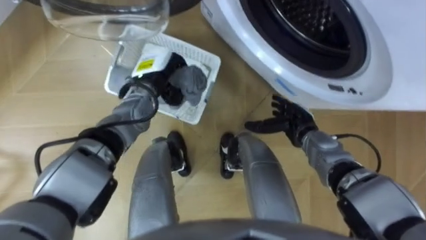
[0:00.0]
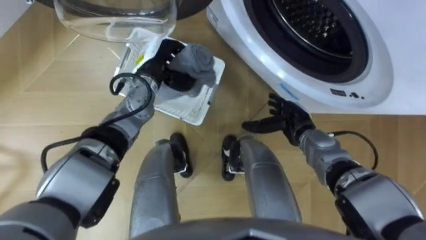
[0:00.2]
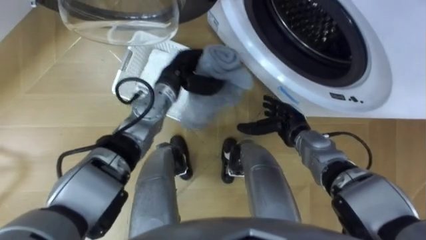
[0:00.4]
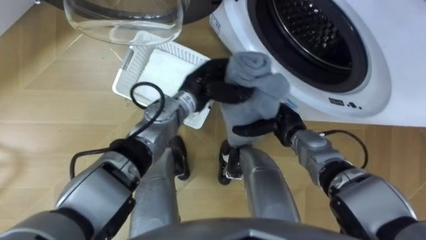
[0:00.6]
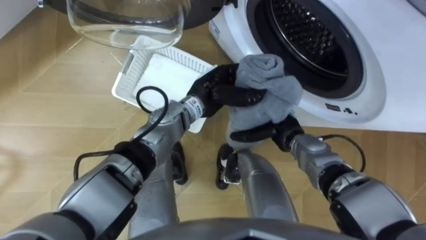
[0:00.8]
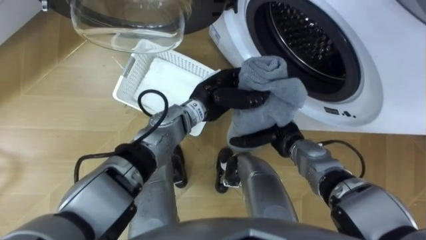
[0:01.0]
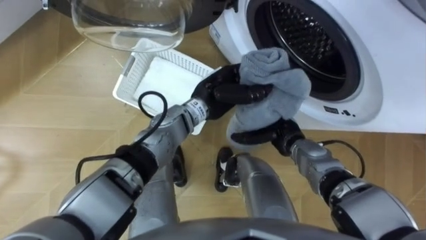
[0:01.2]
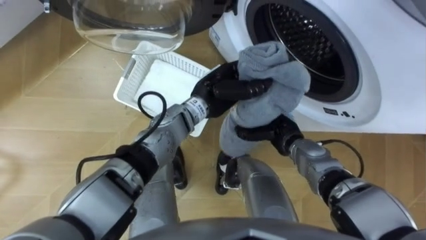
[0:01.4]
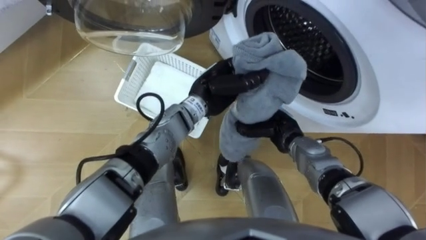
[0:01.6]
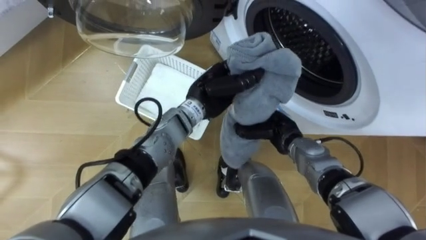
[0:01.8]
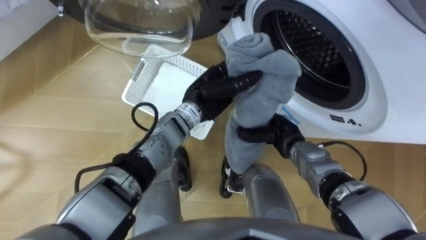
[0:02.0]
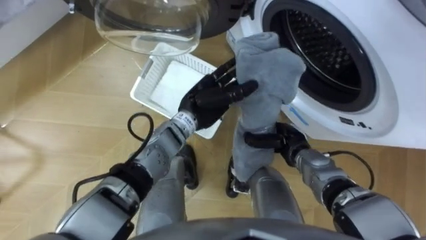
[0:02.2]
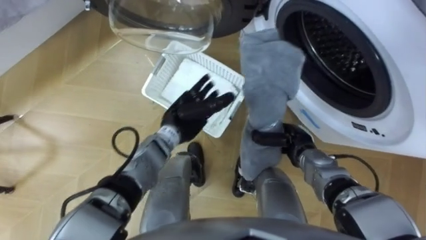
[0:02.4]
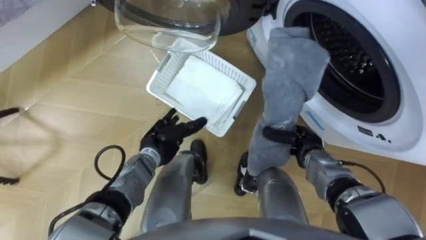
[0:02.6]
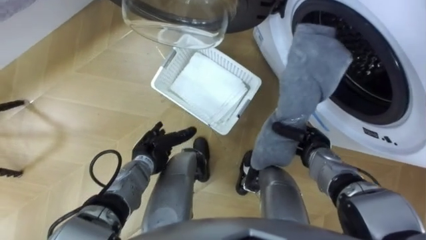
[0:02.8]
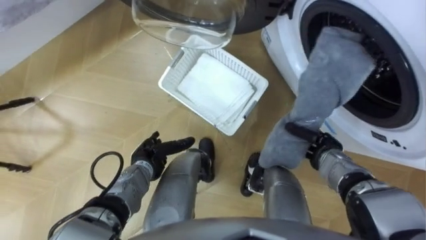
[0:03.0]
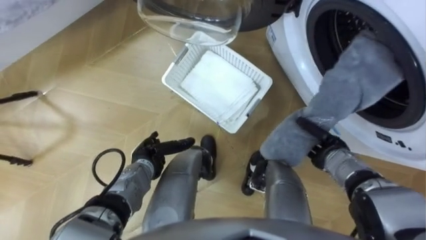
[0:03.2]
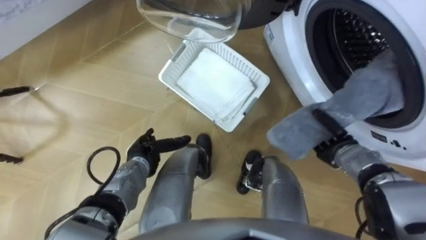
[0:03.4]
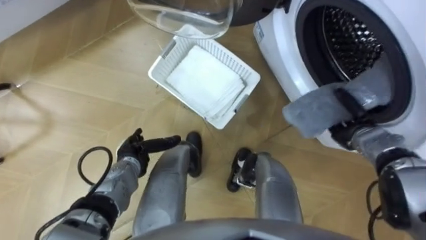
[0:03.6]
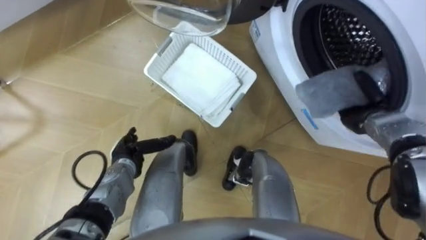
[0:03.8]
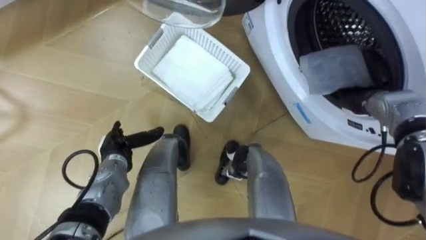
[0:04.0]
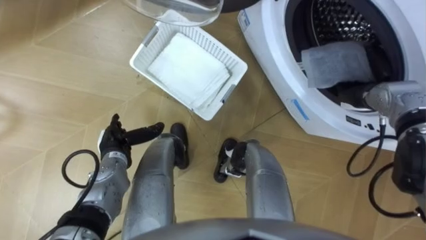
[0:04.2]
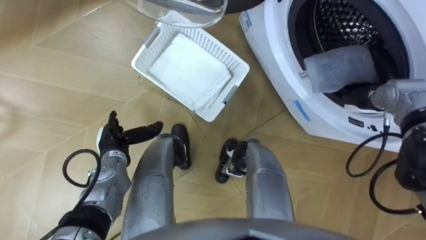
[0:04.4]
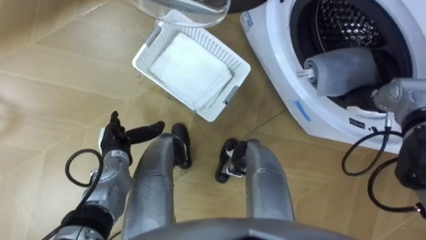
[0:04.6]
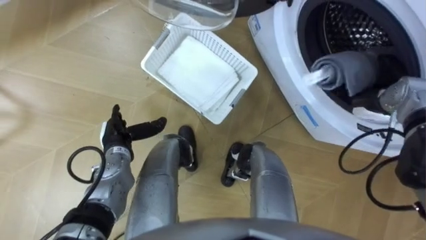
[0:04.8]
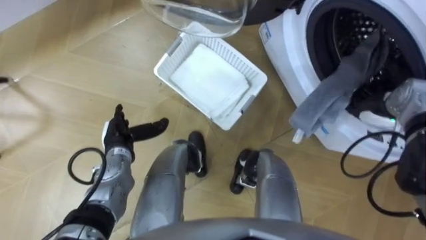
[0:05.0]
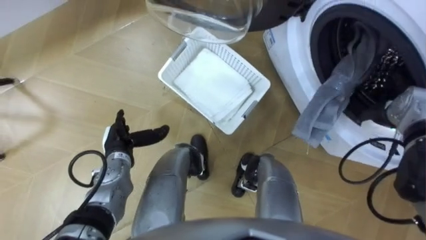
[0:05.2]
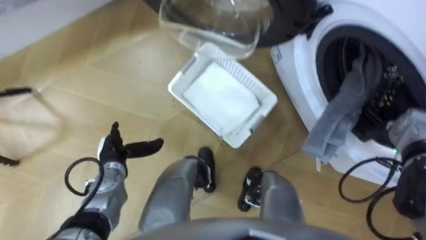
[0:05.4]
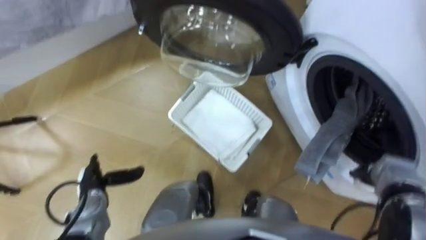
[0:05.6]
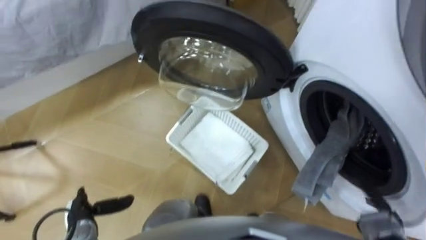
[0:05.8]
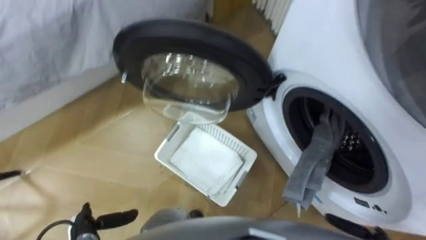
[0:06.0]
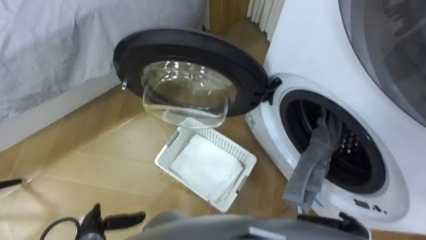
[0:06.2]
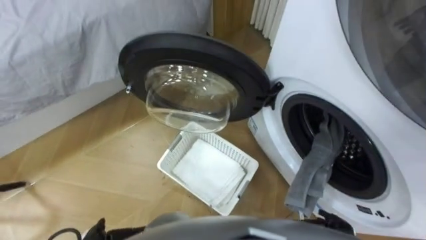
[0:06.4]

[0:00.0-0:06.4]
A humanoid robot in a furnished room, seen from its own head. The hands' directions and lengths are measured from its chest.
Task of the whole recording: Take the towel from the basket and put it into the washing machine.
0:00.0 to 0:01.6: The right hand closes its fingers, while the left hand travels to the right by about 15 cm.
0:01.6 to 0:03.2: The left hand travels to the left, downward and backward by approximately 25 cm, and opens up. The right hand is displaced to the right by some 10 cm.
0:03.2 to 0:04.8: The left hand is displaced to the left and upward by approximately 10 cm. The right hand travels upward, to the right and forward by approximately 15 cm, and opens.

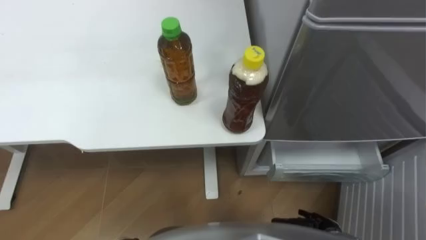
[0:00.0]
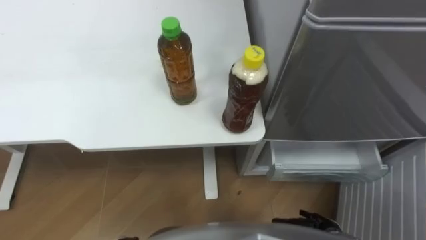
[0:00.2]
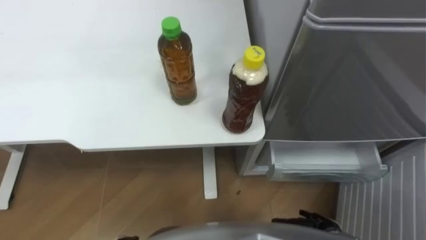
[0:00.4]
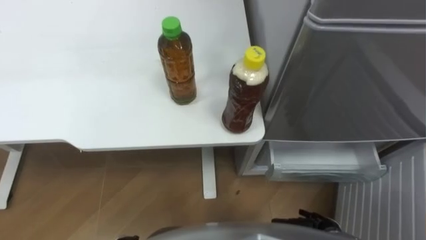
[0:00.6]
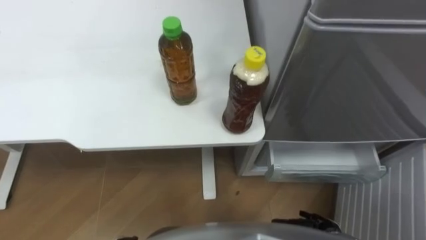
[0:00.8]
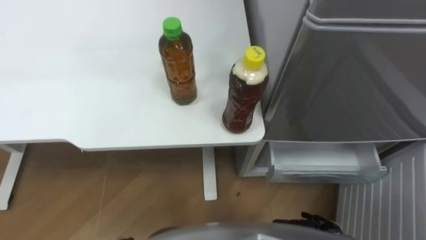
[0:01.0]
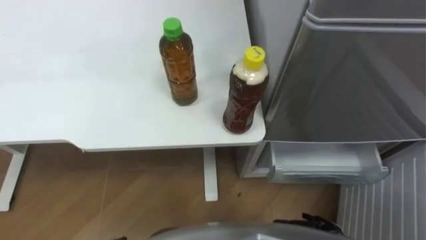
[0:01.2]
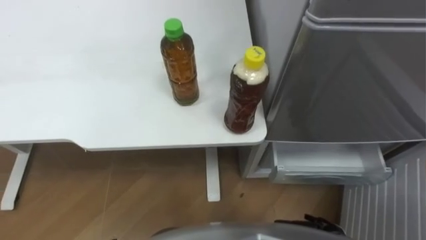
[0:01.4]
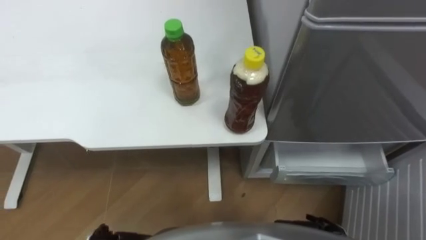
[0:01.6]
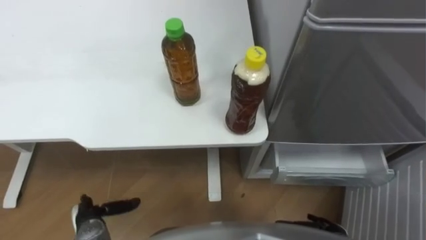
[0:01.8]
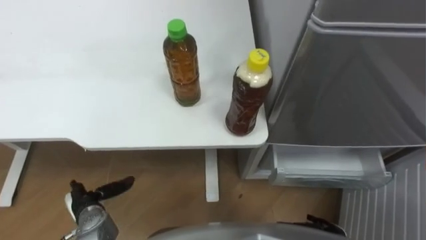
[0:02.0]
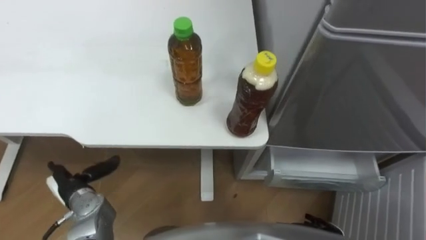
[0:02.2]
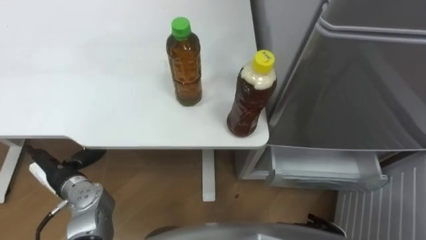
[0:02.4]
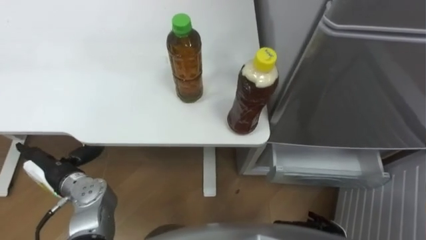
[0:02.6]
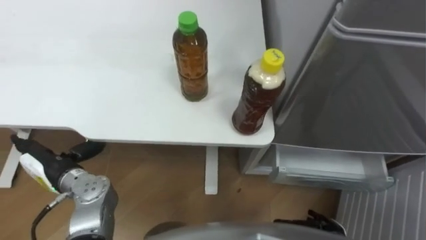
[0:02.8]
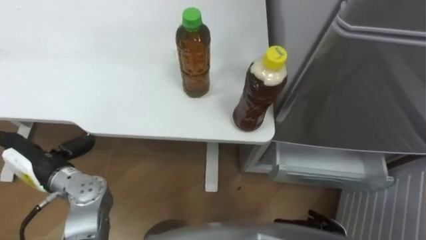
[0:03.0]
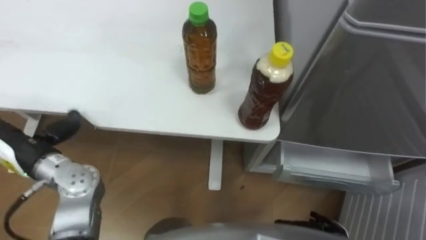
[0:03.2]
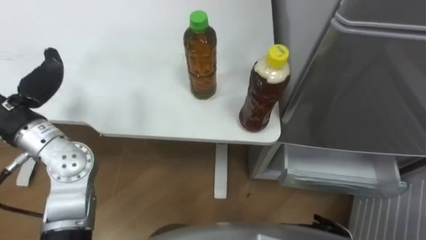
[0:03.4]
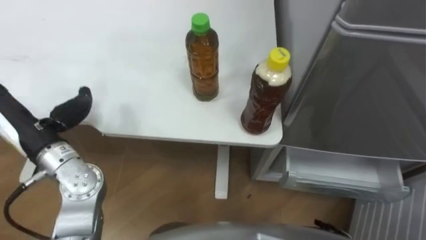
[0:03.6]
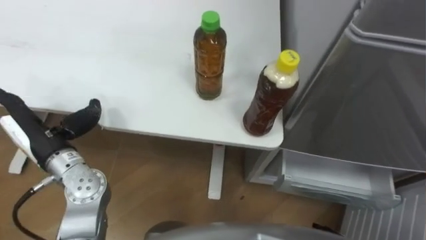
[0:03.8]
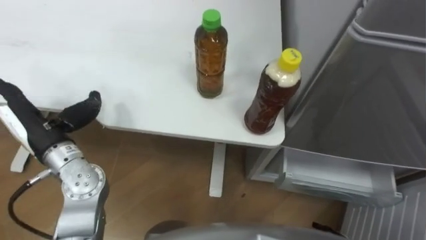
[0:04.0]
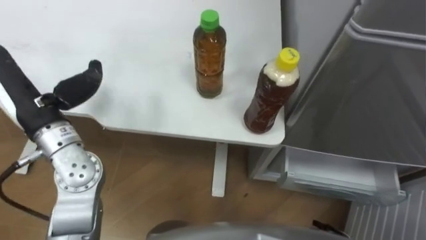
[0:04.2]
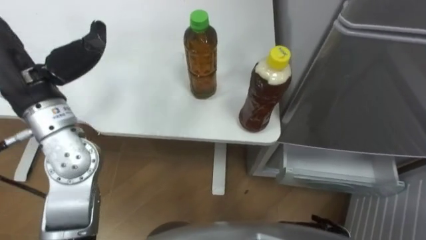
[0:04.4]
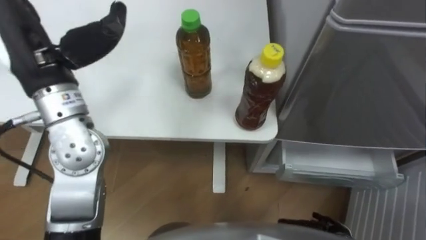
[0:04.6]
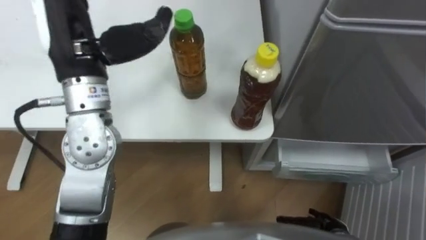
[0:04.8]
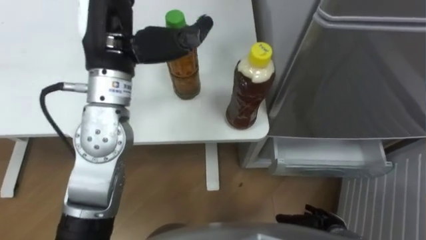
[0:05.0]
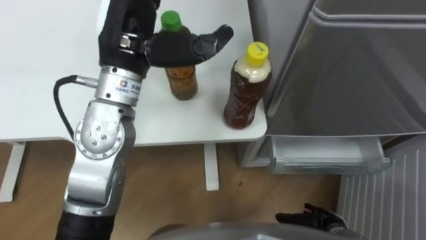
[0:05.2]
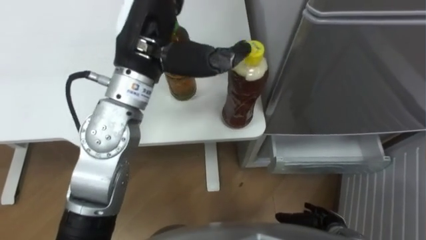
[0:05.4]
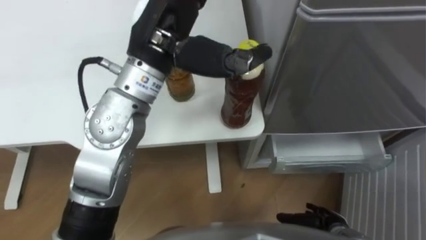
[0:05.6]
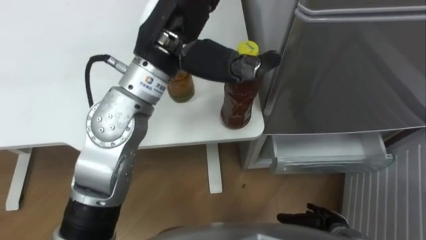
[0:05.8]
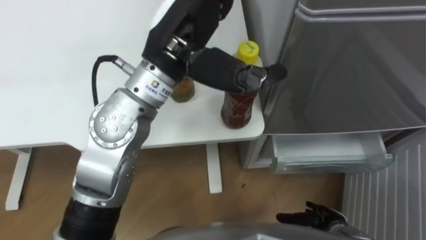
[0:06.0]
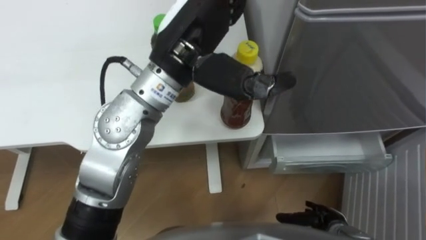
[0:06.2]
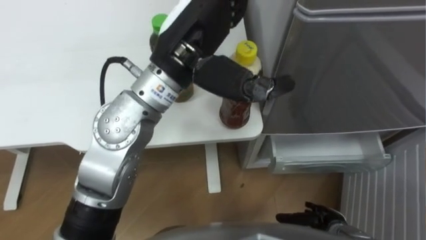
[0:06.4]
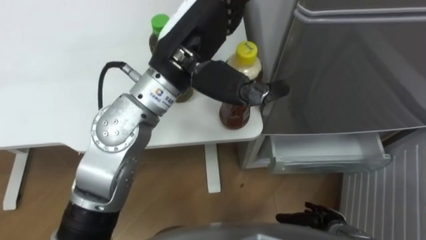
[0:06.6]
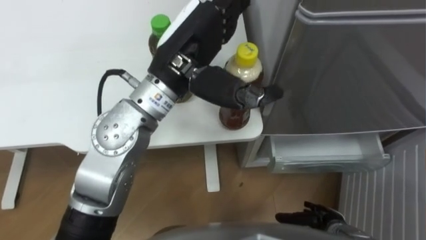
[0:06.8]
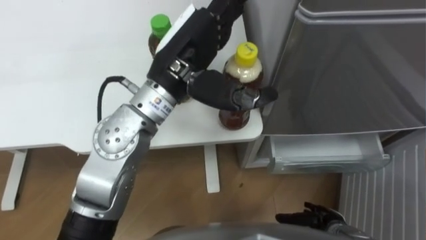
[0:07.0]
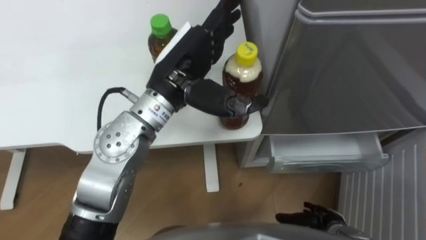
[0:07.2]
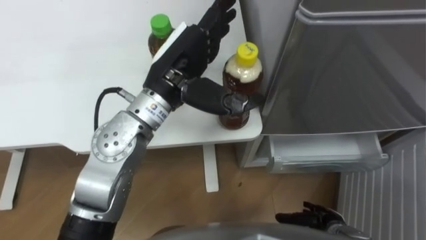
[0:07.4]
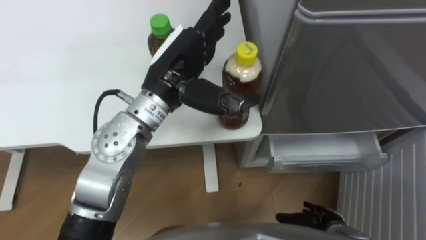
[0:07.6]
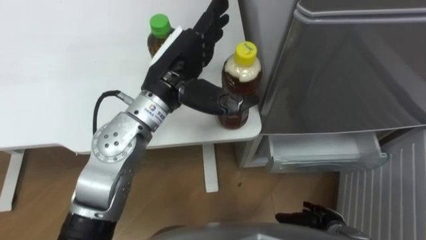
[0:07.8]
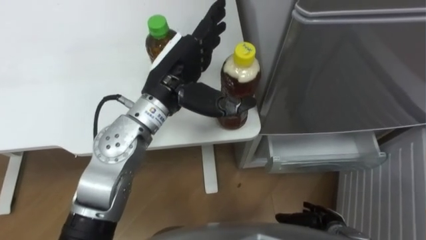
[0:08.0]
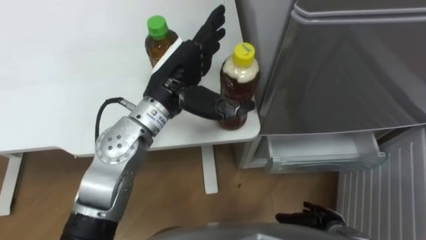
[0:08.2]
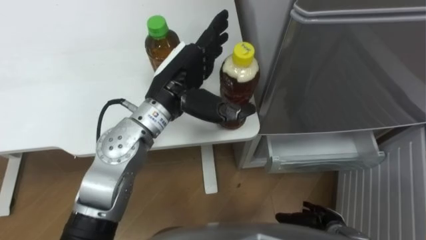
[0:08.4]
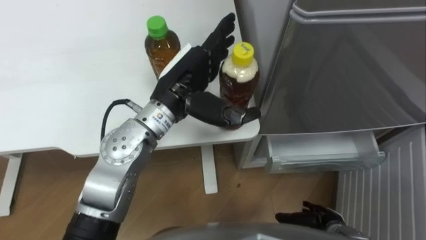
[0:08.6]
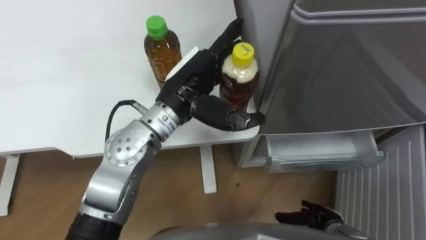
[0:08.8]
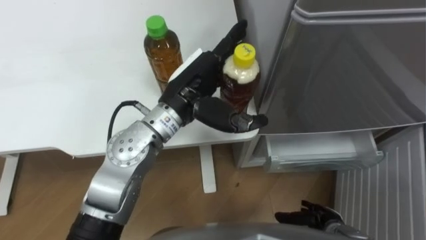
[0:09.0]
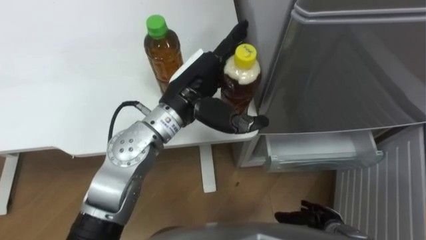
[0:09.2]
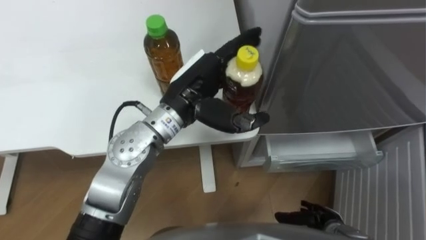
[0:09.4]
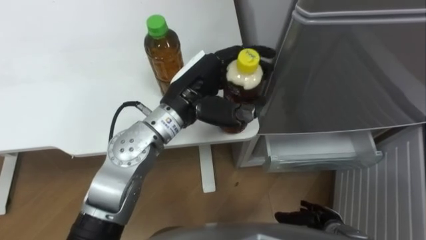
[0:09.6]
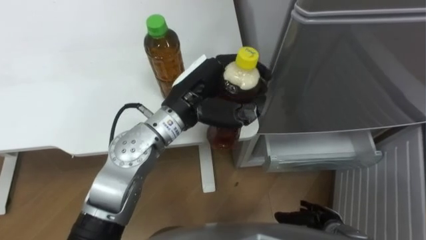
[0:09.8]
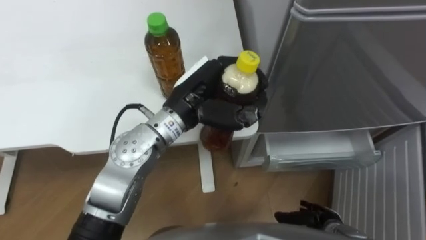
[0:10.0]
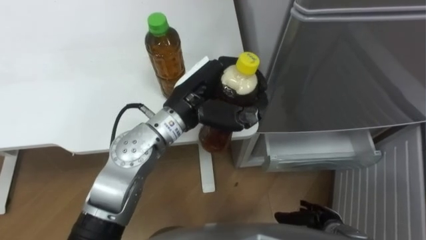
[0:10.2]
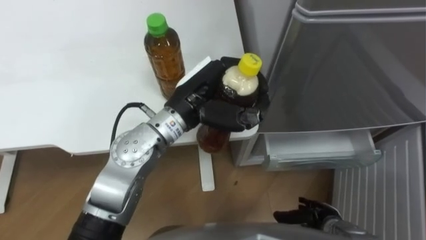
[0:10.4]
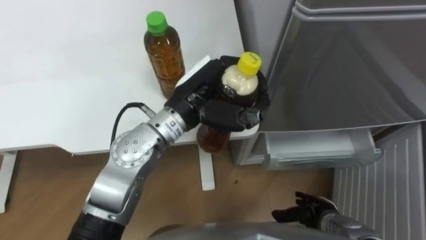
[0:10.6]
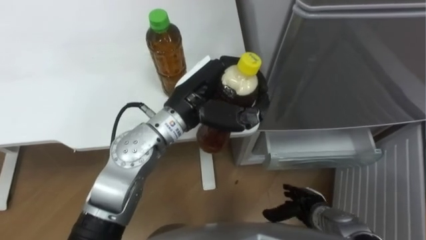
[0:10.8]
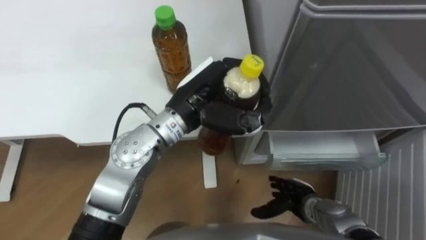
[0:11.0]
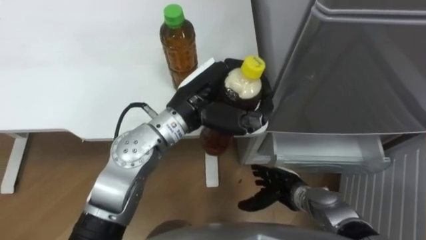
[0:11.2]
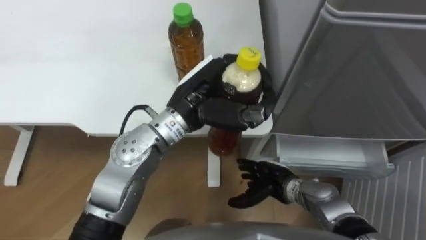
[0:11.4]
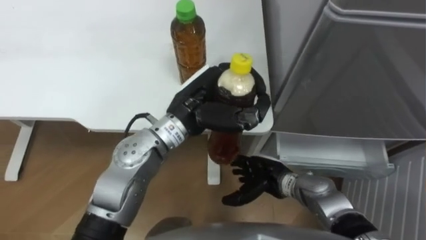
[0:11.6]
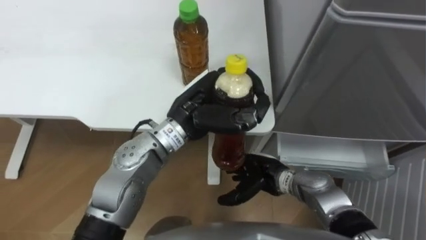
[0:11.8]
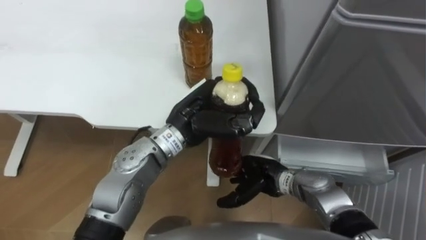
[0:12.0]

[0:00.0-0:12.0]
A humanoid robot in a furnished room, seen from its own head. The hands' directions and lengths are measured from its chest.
Task of the whole recording: Place the drink on the table on the bottom shelf of the refrigerator, then close the drawer and the refrigerator door.
0:04.4 to 0:06.0: The left hand is displaced to the right by some 20 cm.
0:06.0 to 0:07.6: The left hand shifts some 10 cm downward.
0:07.6 to 0:09.0: There are only small adjustments of the hands.
0:09.0 to 0:10.4: The left hand closes its fingers.
0:10.4 to 0:12.0: The right hand is displaced to the left, forward and upward by some 20 cm.
